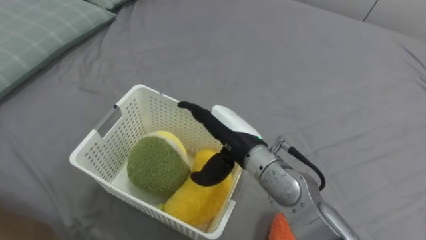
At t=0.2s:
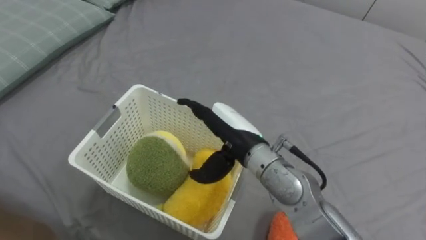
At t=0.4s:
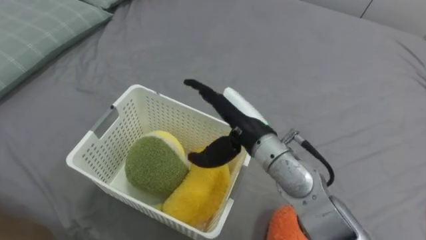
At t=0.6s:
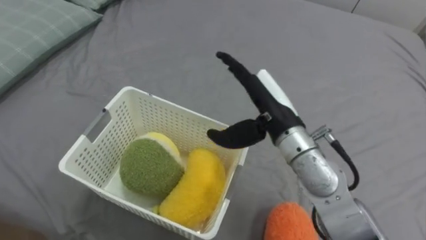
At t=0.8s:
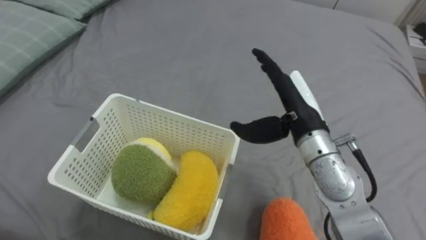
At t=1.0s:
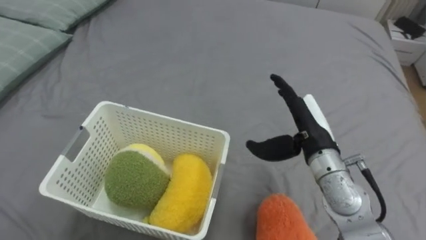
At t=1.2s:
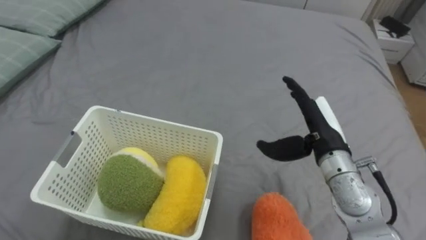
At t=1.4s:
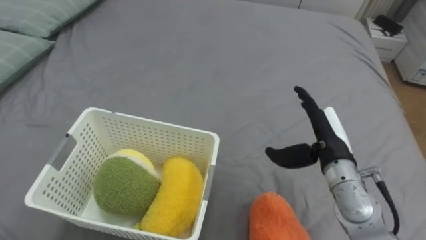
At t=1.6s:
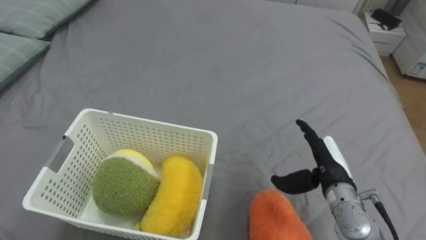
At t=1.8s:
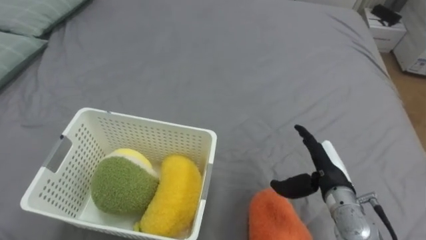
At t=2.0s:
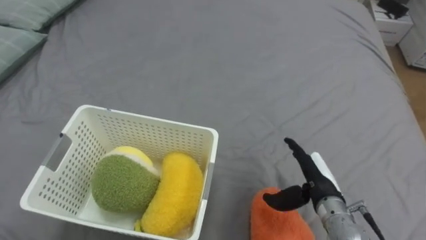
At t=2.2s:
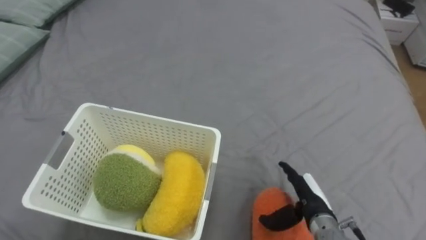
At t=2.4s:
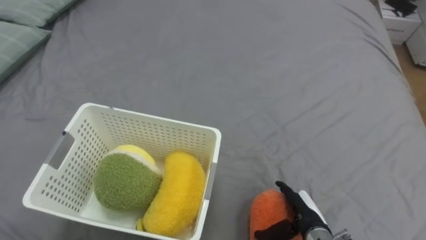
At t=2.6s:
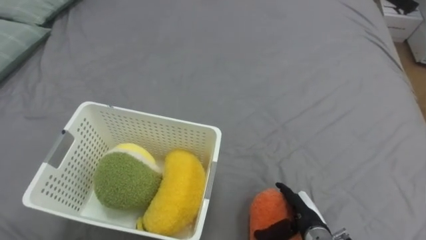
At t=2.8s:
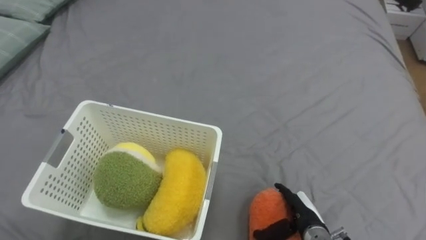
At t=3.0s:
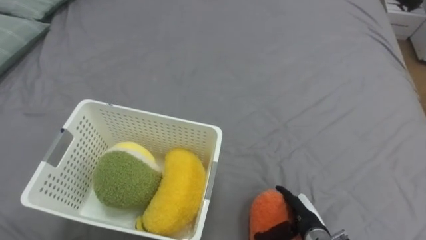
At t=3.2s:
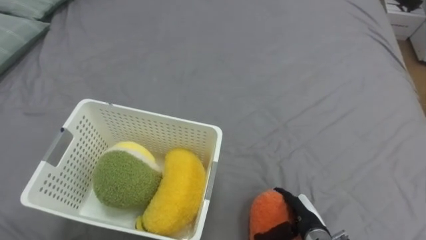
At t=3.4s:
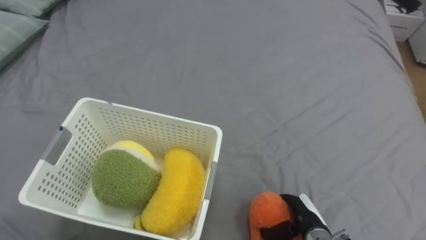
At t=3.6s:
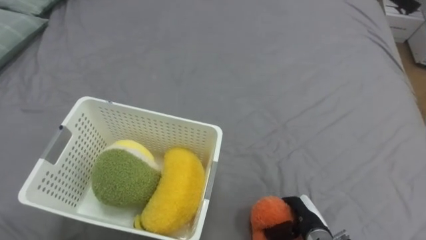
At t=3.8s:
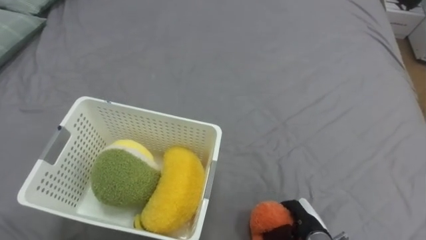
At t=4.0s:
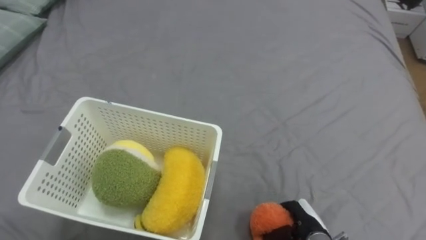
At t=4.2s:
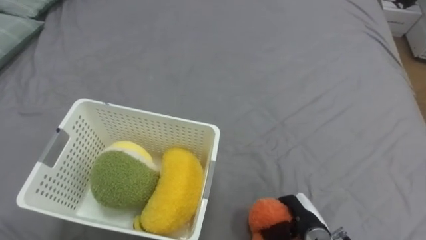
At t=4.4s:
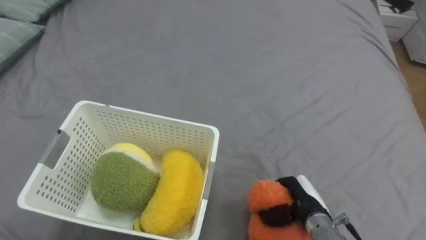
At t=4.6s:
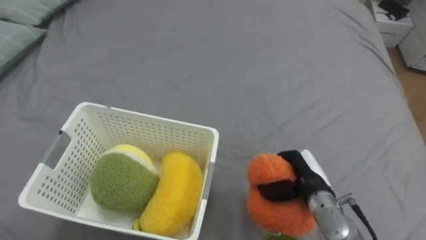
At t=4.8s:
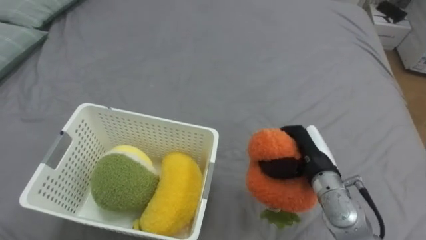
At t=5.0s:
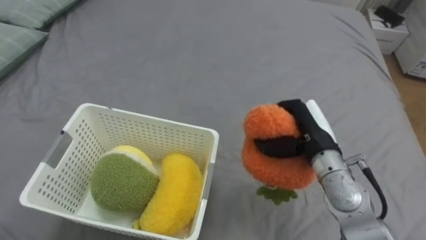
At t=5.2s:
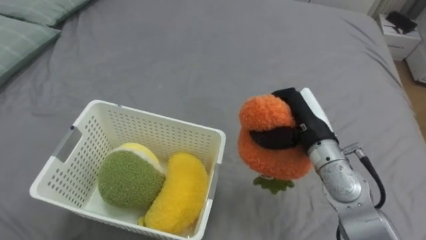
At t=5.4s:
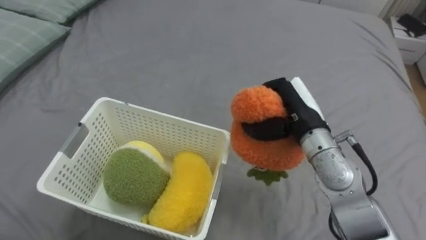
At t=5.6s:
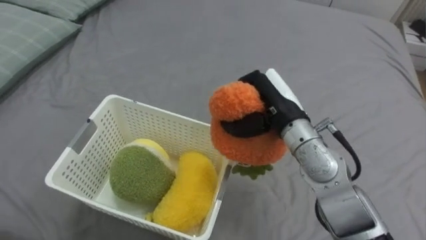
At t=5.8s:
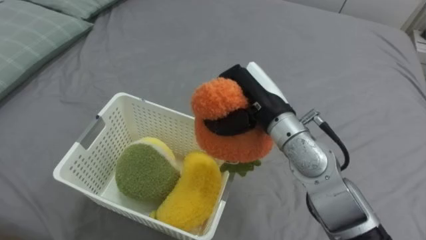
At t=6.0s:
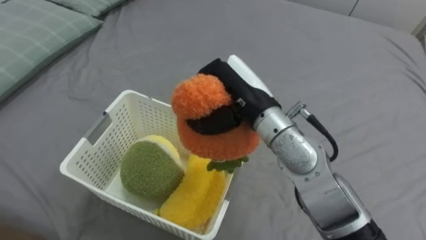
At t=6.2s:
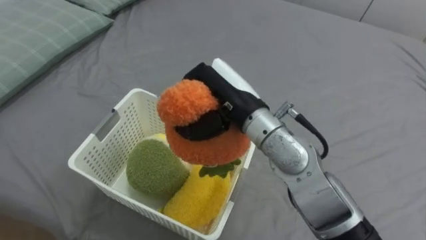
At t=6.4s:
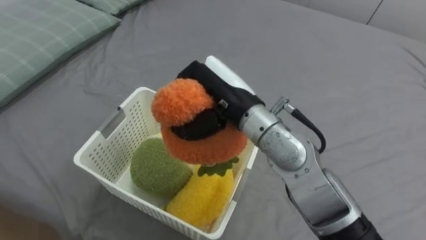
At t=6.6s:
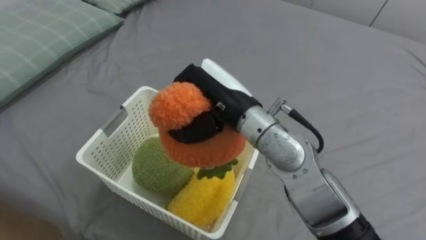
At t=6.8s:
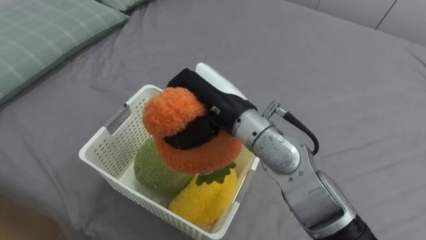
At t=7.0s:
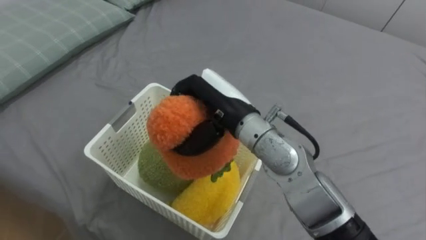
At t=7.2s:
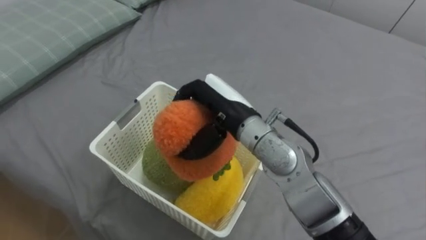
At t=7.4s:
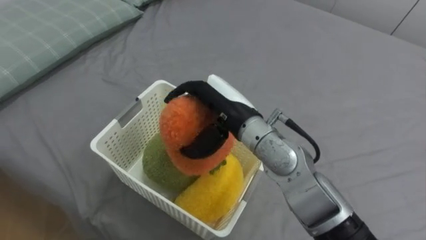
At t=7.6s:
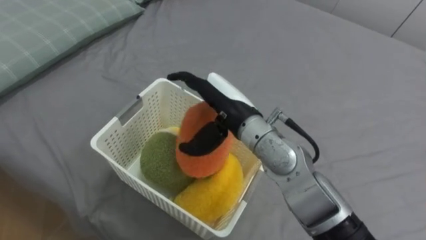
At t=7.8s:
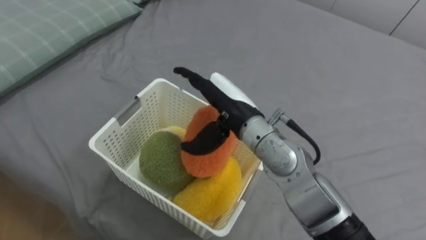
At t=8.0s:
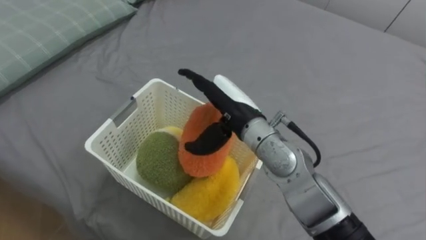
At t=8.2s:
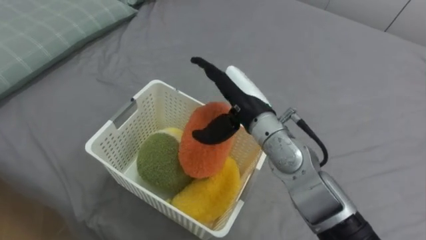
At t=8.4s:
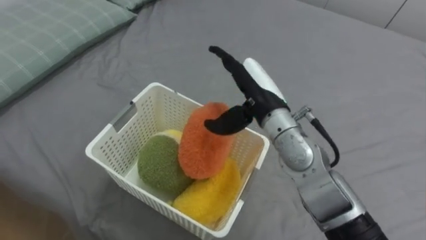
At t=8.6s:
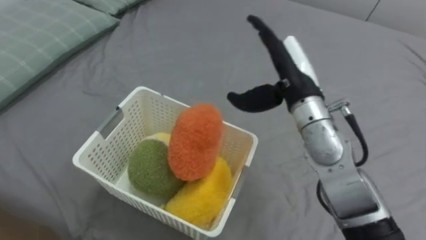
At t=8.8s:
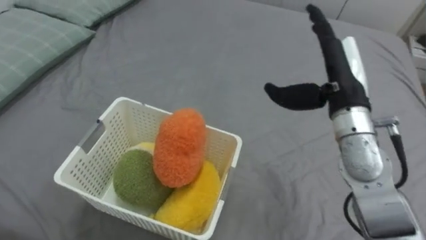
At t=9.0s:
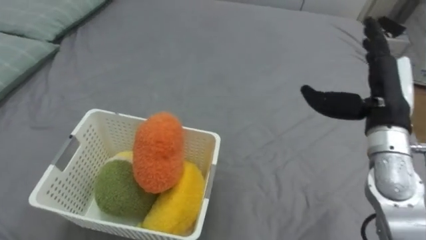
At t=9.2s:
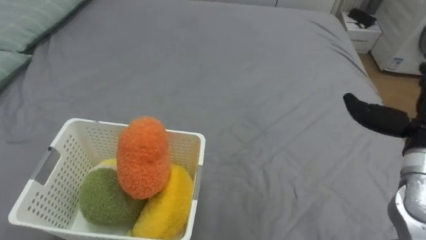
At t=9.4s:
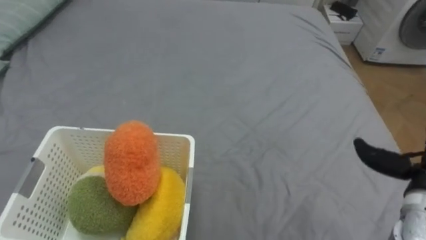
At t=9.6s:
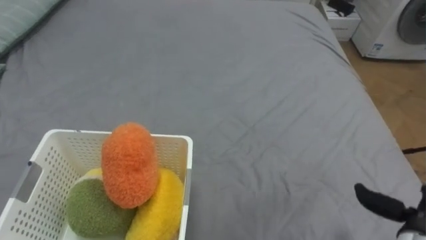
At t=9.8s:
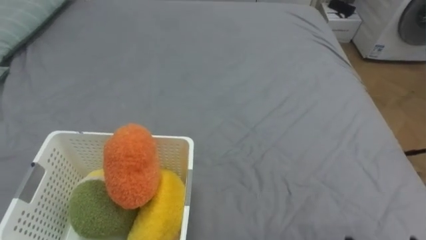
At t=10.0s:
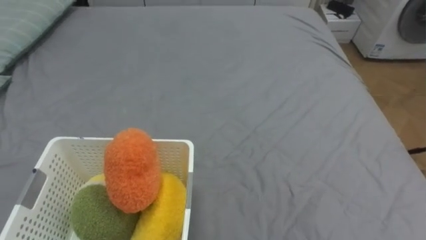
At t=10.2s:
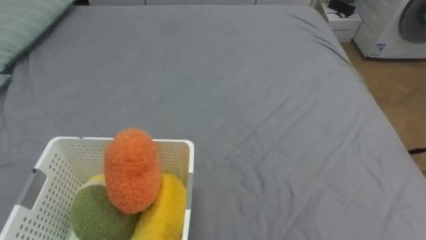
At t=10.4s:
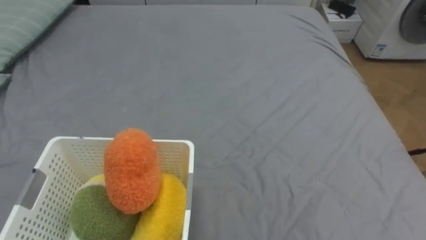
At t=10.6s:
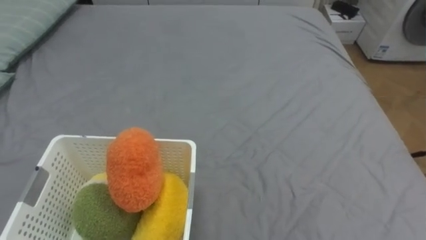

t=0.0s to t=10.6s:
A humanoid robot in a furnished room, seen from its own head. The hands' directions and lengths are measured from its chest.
Task of the whole recording: Put the toys on the bed into the basket on the left.
t=0.0s to t=1.6s: The right hand travels to the right and downward by some 20 cm.
t=1.6s to t=3.0s: The right hand shifts about 15 cm downward and backward.
t=3.0s to t=4.6s: The right hand is displaced upward and forward by some 10 cm, and closes.
t=4.6s to t=6.0s: The right hand goes some 25 cm upward and to the left.
t=6.0s to t=7.6s: The right hand opens up.
t=7.6s to t=9.0s: The right hand goes some 25 cm to the right.

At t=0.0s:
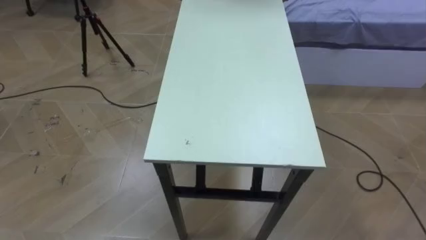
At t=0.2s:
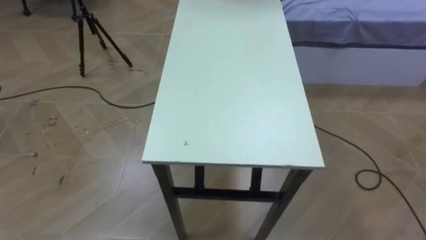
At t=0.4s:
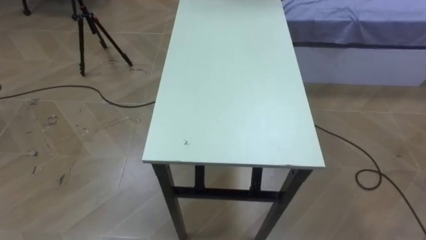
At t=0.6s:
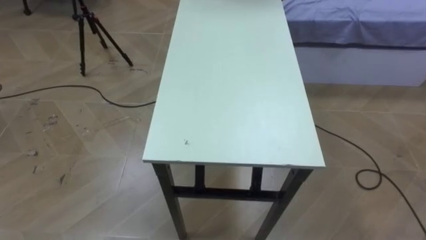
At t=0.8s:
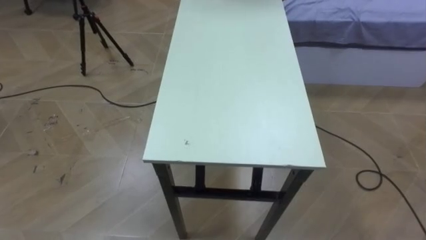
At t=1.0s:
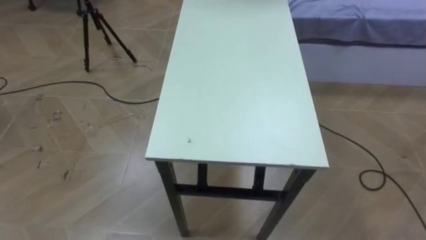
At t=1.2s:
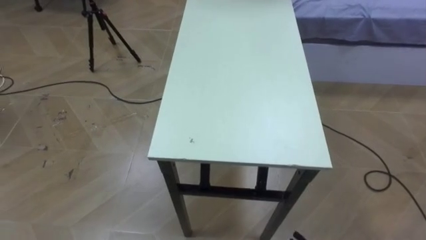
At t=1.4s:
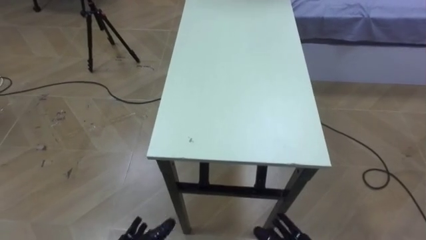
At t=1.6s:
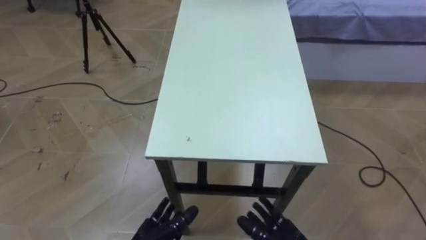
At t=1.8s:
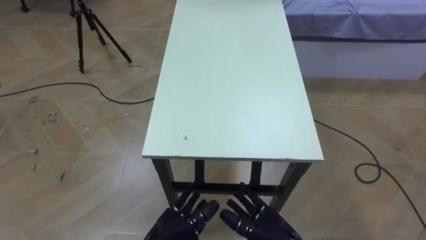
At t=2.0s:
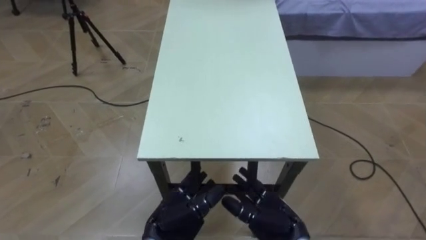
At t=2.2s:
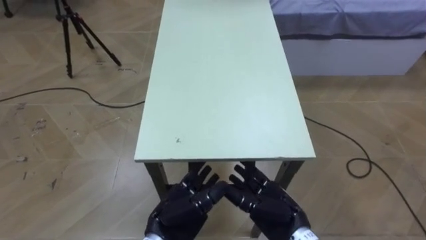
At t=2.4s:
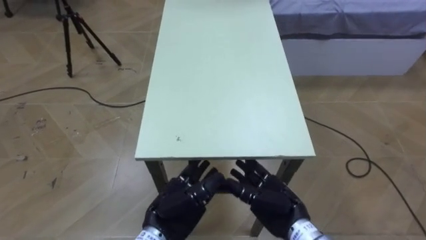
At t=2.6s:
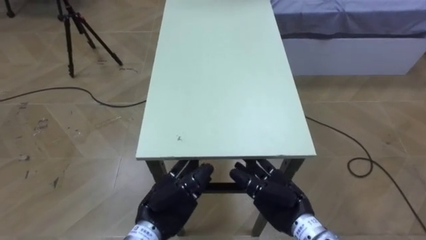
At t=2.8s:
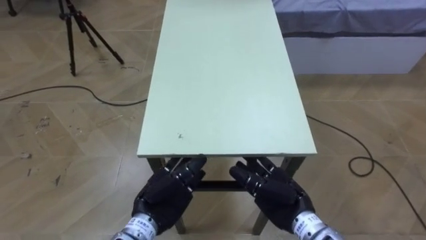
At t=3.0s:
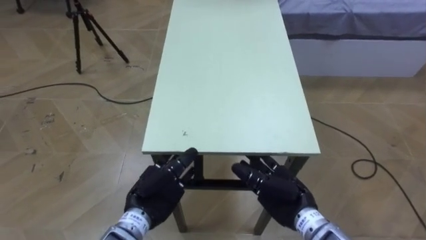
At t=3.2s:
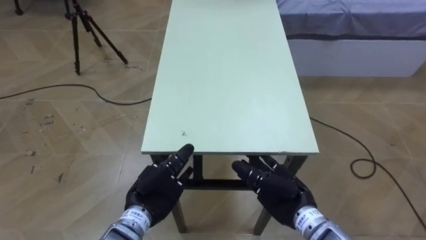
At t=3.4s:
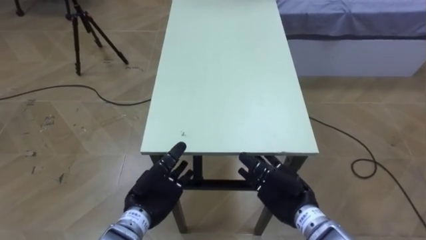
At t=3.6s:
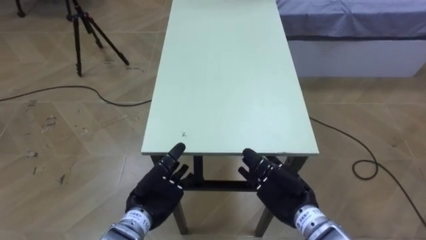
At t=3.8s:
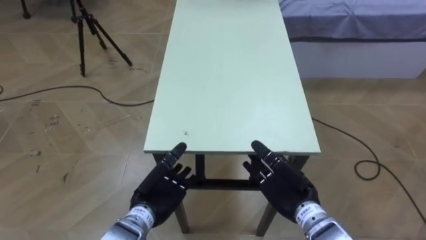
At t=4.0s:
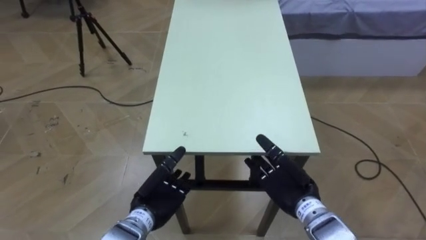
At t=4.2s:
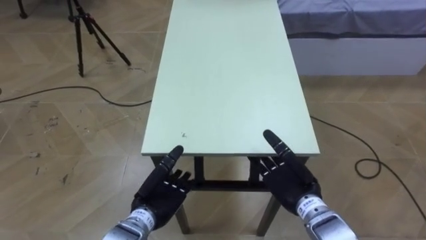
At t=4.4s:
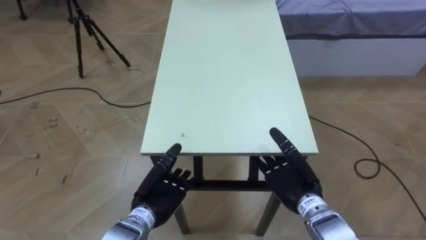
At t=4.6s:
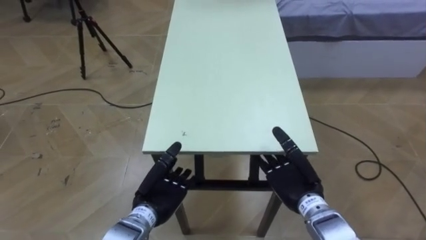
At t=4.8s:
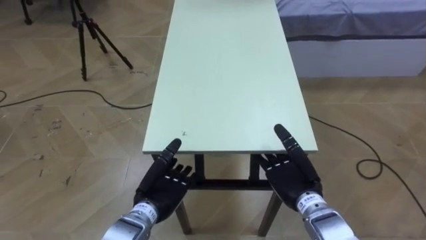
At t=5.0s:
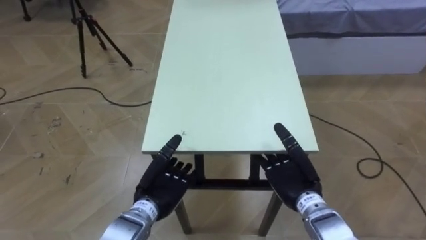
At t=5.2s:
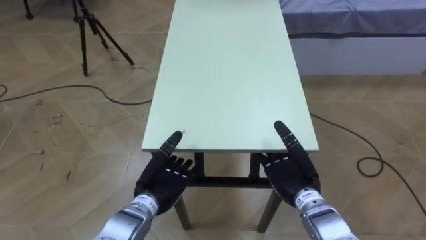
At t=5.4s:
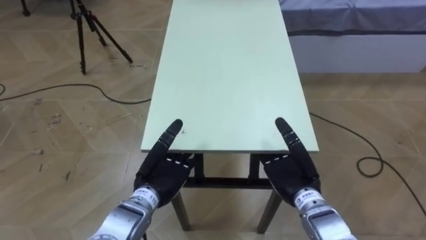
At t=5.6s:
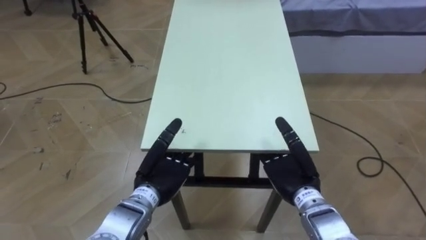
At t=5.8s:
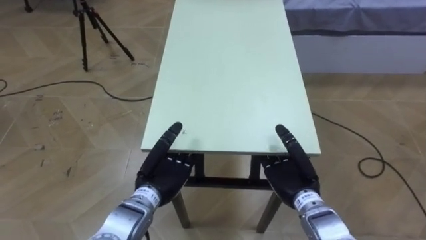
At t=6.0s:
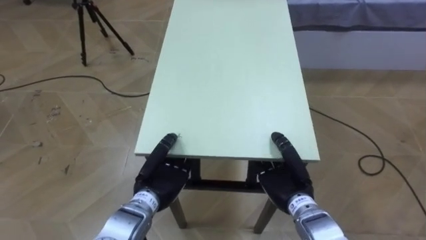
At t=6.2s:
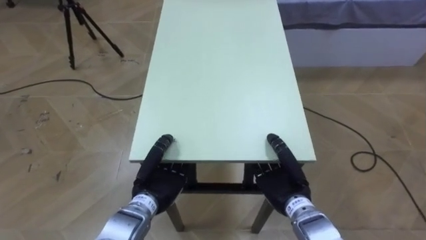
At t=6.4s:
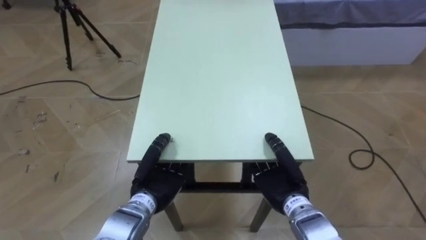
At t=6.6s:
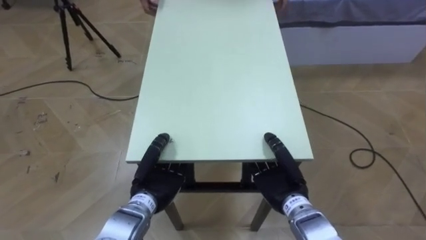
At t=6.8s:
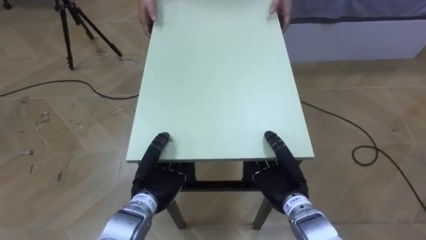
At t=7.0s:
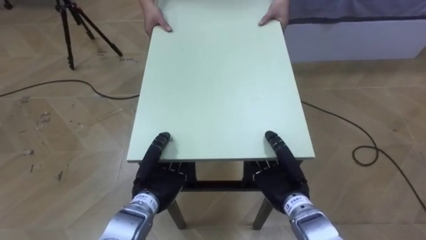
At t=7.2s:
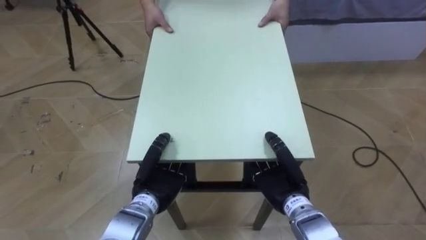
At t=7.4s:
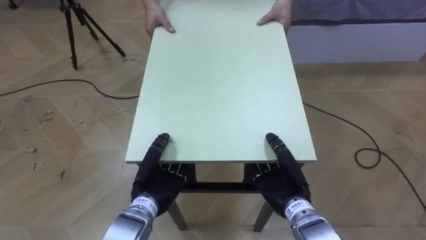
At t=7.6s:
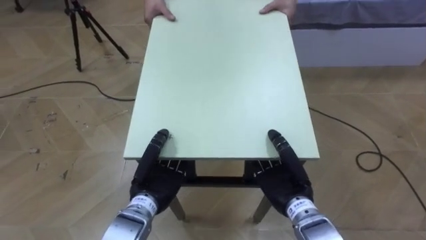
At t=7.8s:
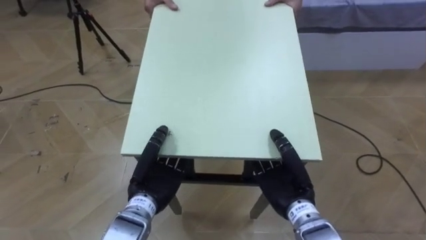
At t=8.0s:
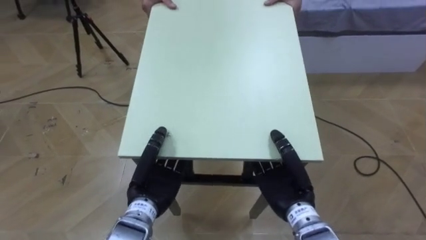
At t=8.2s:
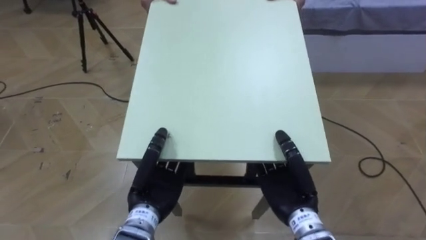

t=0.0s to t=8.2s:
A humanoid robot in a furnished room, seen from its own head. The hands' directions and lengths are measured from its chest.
Task of the whole recording: Move the table to the back left with someone.
t=5.0s to t=6.6s: The left hand closes. The right hand closes.
